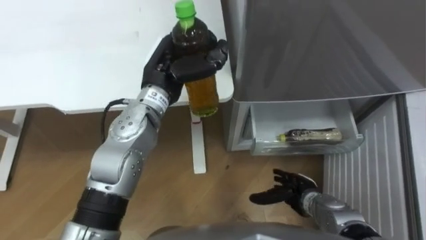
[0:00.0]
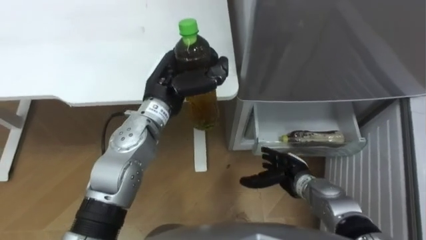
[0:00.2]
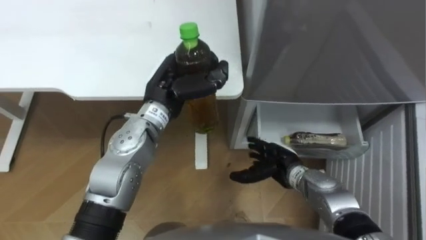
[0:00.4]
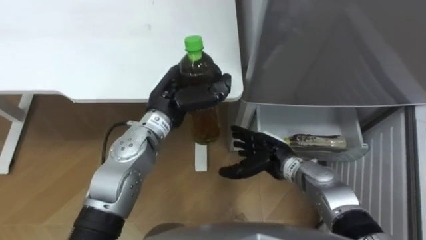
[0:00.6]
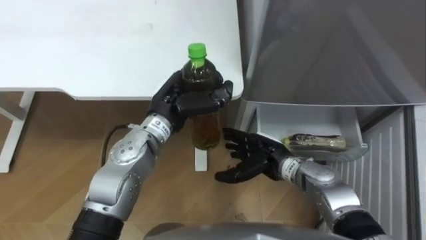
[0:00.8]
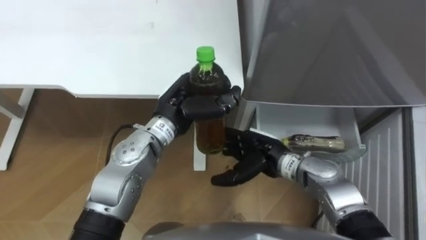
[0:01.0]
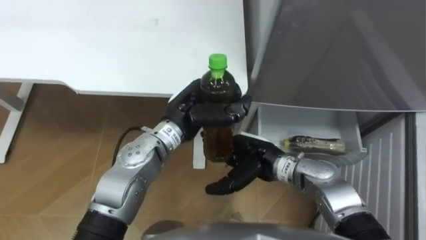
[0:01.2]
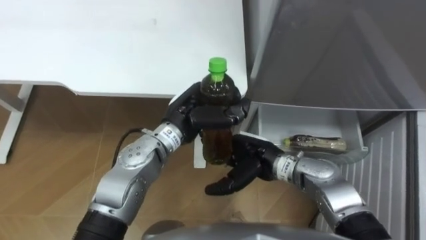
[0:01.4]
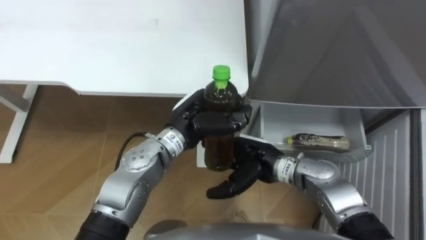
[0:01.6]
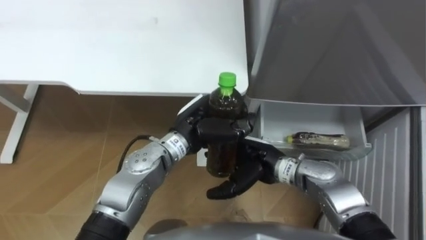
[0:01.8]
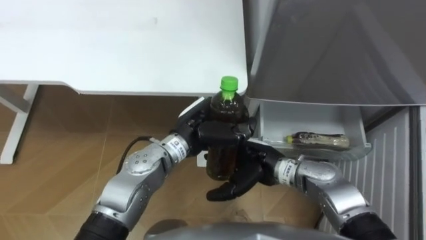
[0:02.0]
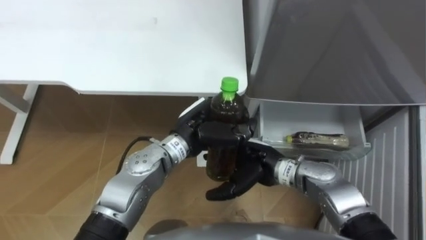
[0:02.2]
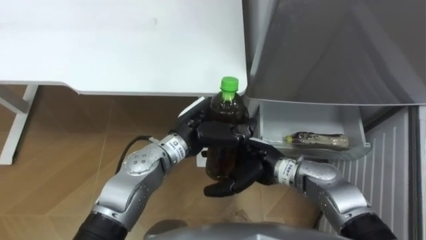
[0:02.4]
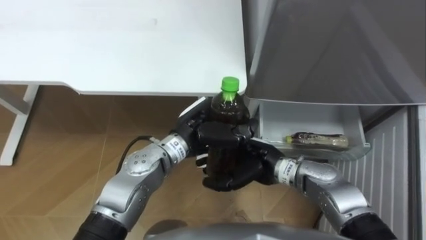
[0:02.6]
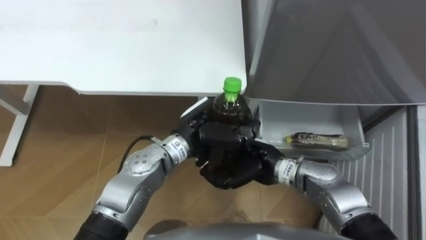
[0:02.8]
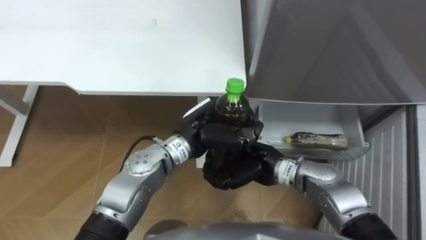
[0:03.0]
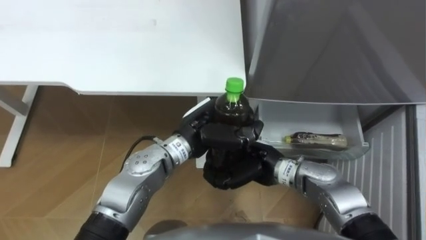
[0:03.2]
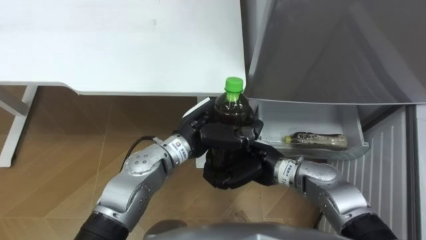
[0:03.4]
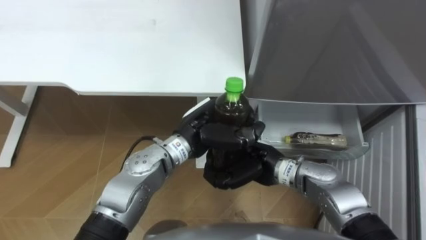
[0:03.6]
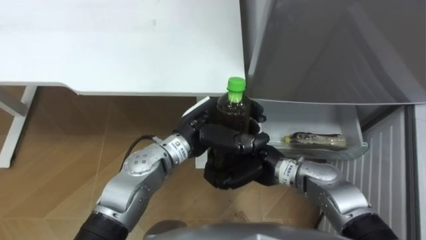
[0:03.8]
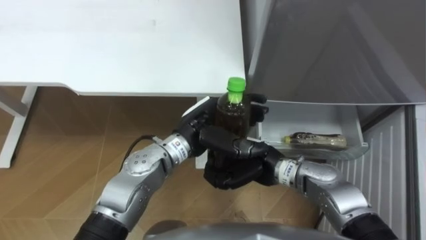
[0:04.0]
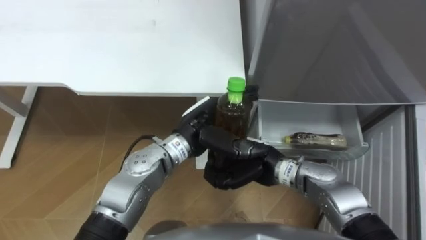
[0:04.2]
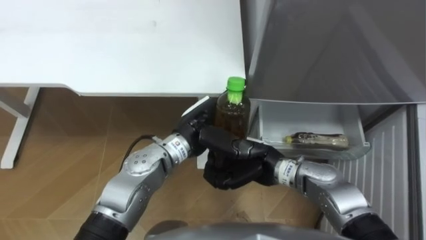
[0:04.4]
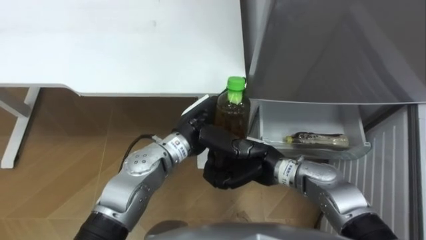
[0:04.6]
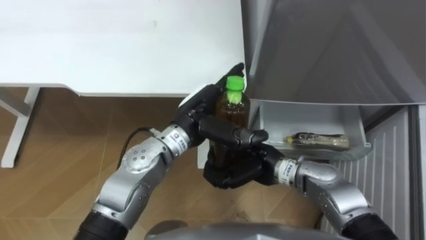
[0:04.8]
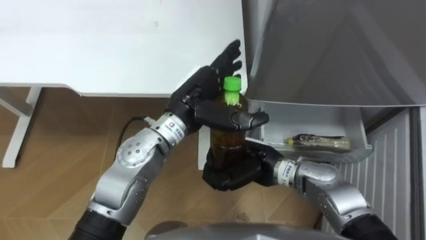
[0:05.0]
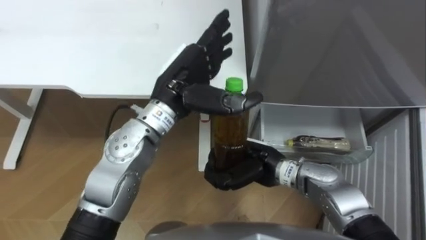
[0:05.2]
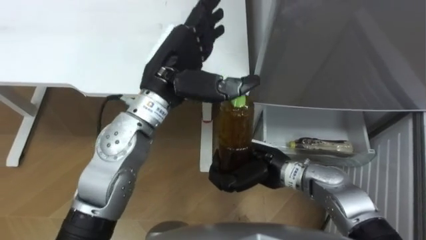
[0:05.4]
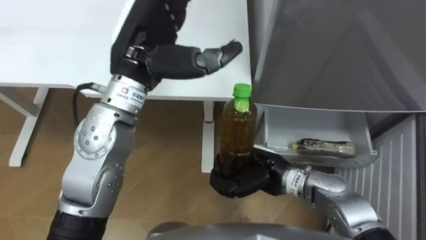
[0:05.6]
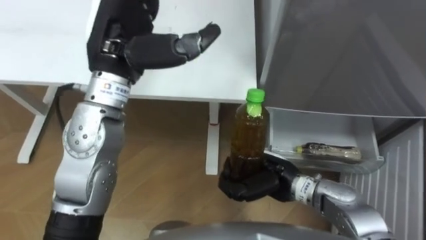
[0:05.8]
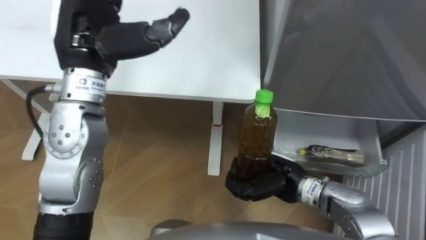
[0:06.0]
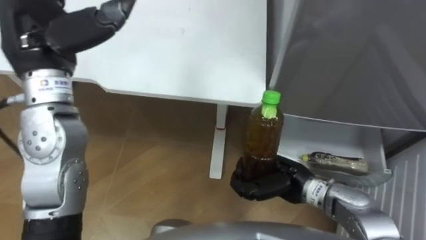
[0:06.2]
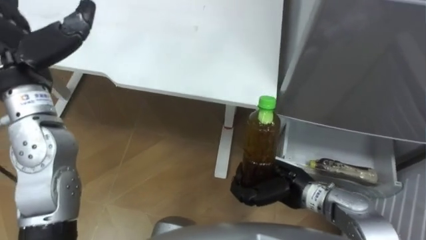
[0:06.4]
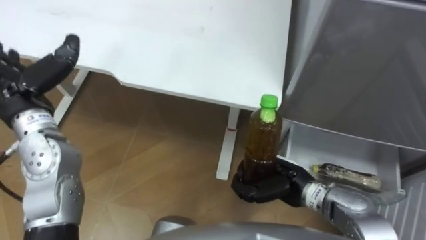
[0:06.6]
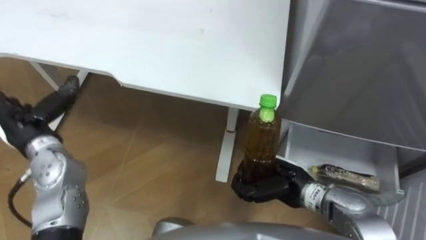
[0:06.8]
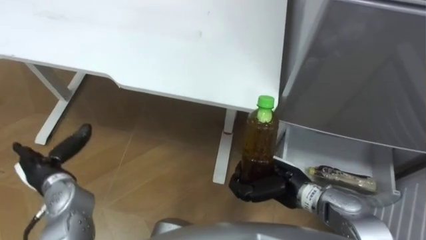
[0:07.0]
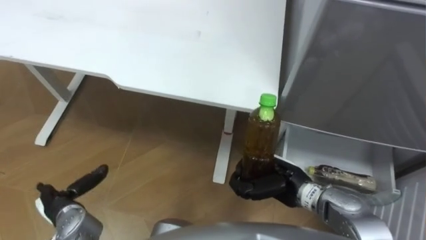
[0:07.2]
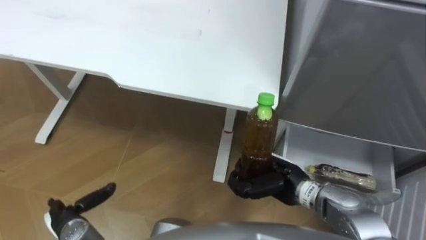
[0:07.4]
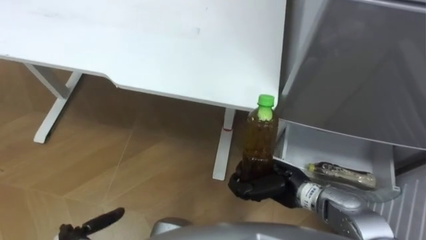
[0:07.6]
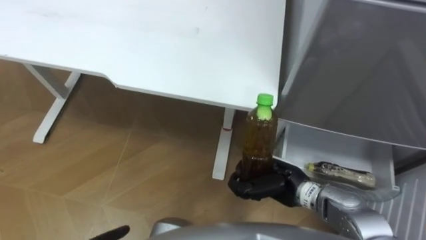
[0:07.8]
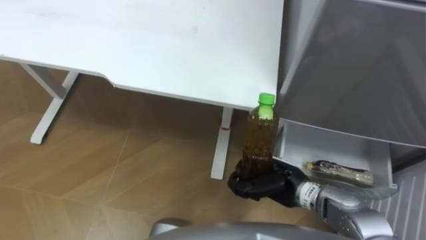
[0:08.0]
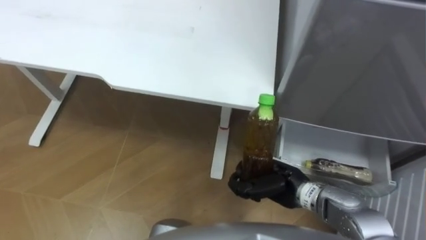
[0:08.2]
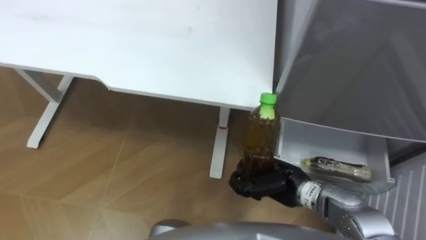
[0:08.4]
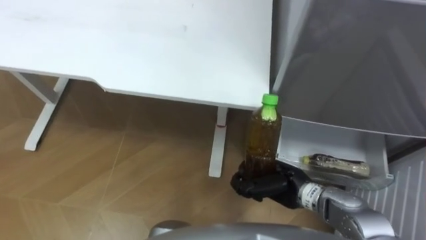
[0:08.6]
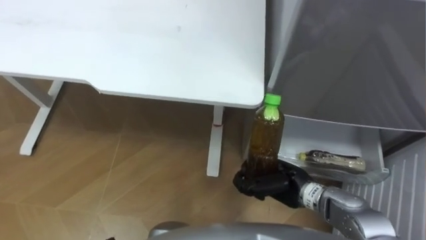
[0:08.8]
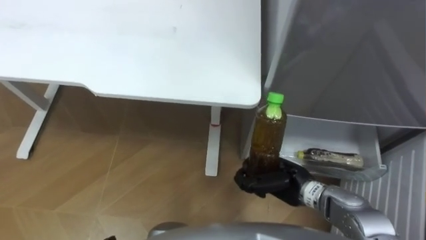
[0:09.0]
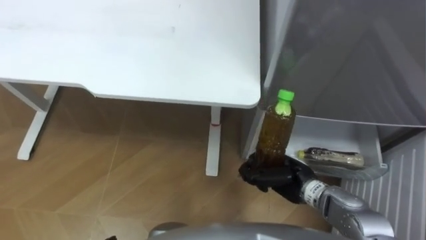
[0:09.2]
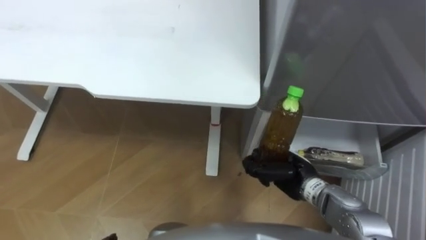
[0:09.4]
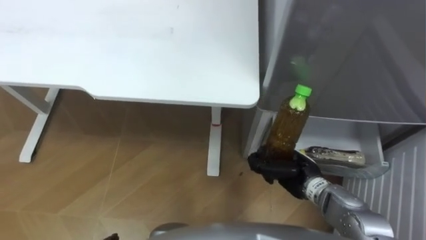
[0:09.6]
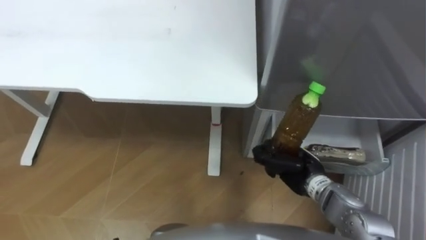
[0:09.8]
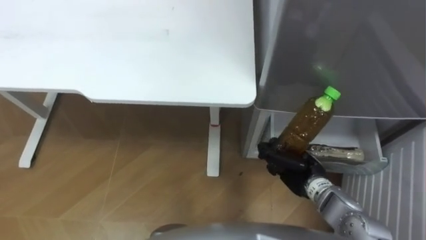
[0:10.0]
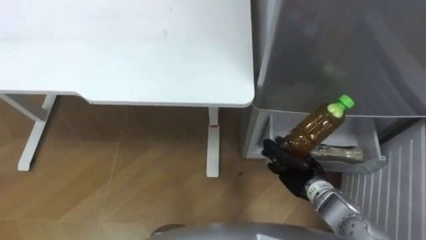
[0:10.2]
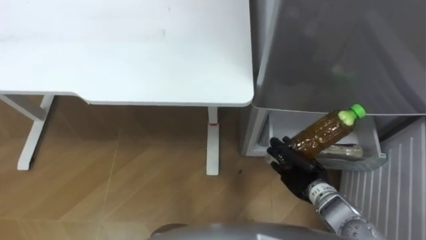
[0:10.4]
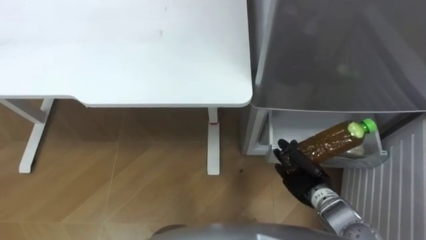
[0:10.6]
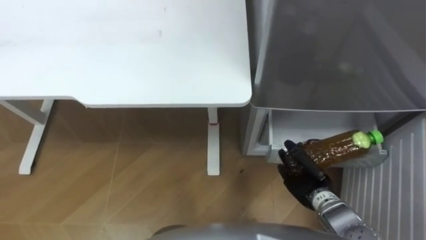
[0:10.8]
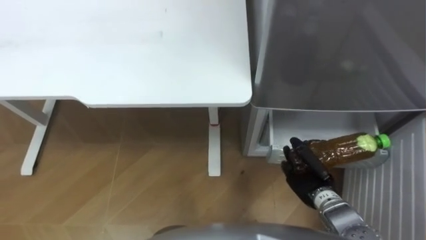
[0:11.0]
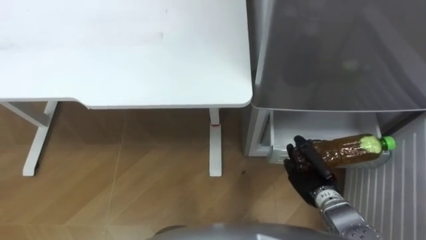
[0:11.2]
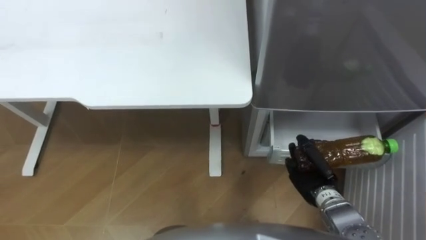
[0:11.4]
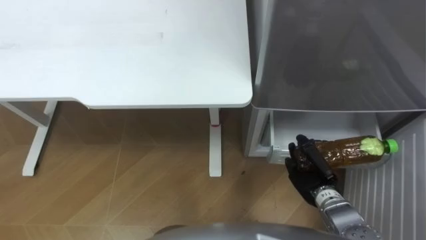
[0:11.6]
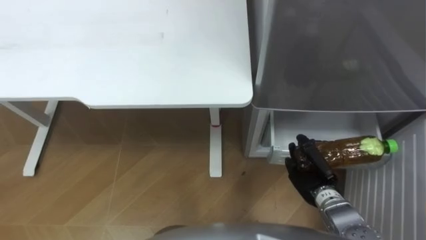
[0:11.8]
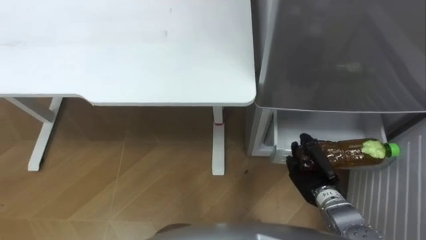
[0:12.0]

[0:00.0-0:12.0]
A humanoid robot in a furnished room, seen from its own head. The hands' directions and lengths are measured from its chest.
Task of the whole recording: Place the drink on the table on the bottom shelf of the refrigerator, then close the drawer and the refrigerator door.
0:00.0 to 0:01.6: The left hand heads downward and backward, covering approximately 10 cm. Meanwhile the right hand is displaced upward, to the left and forward by some 20 cm.
0:01.6 to 0:03.0: The right hand closes.
0:03.0 to 0:04.4: The left hand opens.
0:04.4 to 0:06.0: The right hand moves some 5 cm. The left hand heads upward and to the left, covering about 25 cm.
0:09.0 to 0:10.4: The right hand moves roughly 5 cm.

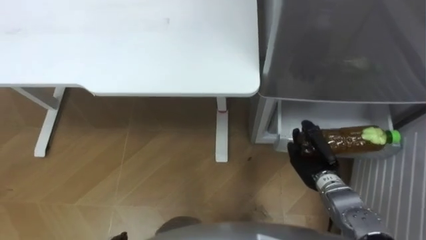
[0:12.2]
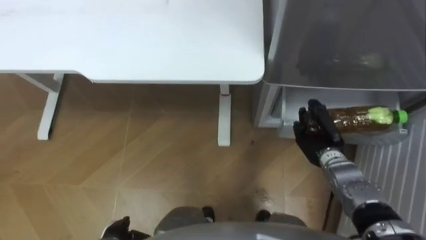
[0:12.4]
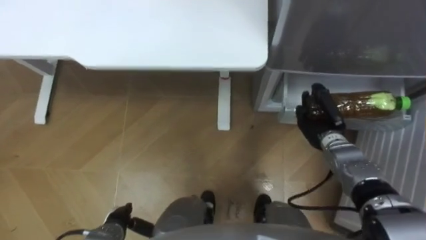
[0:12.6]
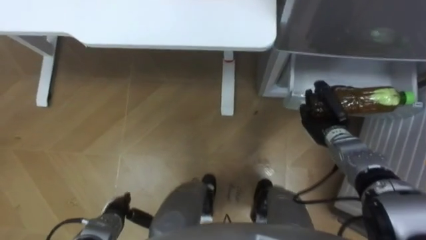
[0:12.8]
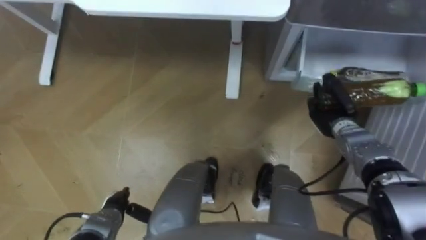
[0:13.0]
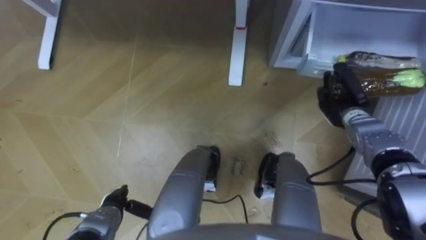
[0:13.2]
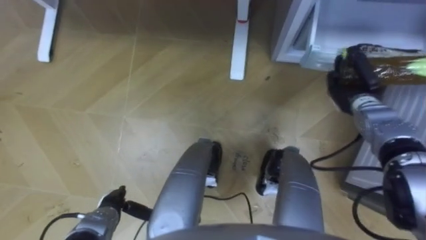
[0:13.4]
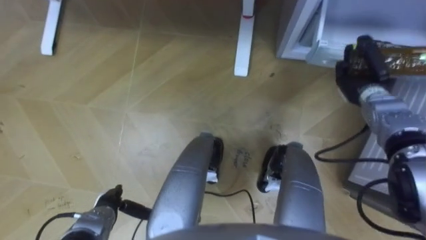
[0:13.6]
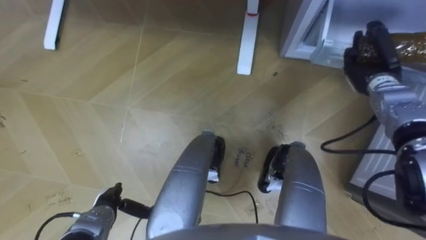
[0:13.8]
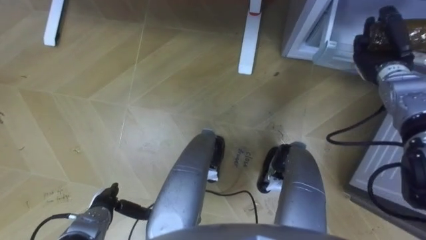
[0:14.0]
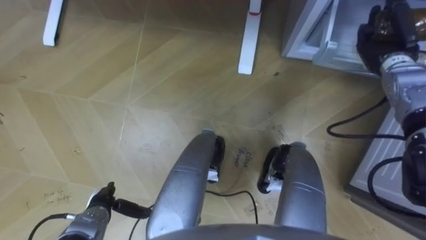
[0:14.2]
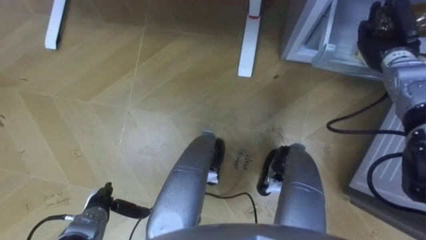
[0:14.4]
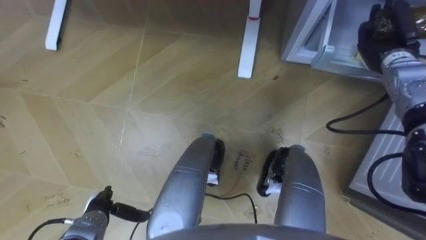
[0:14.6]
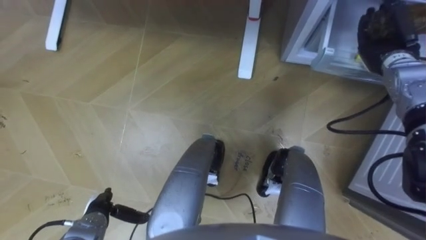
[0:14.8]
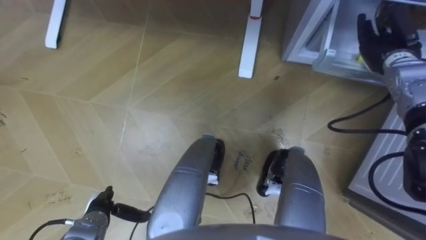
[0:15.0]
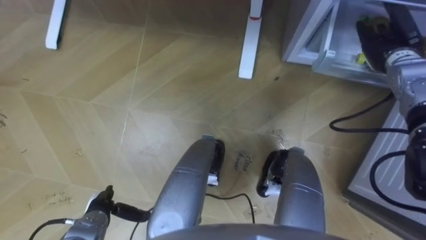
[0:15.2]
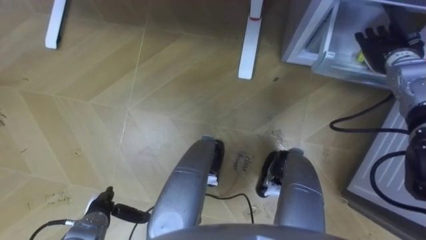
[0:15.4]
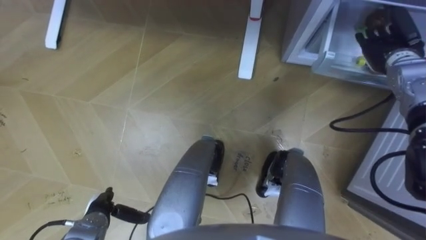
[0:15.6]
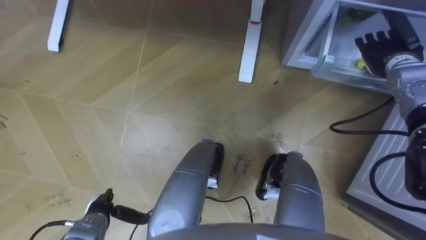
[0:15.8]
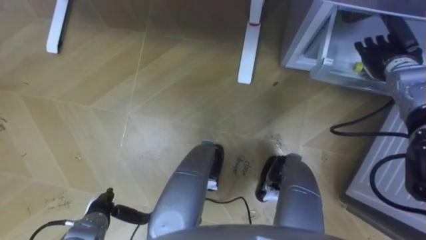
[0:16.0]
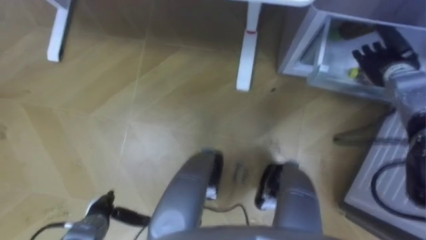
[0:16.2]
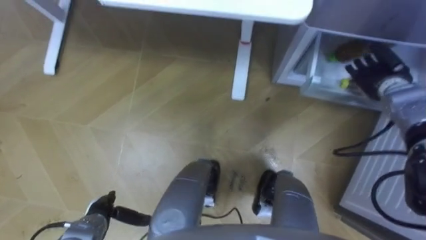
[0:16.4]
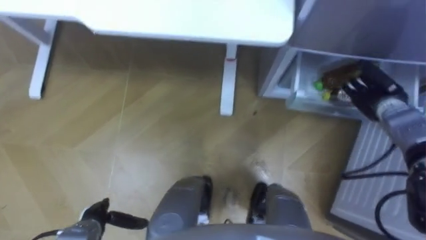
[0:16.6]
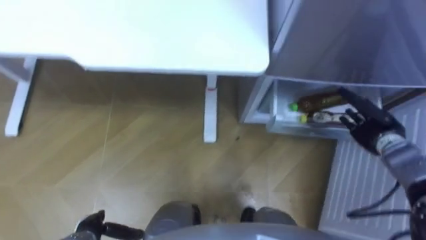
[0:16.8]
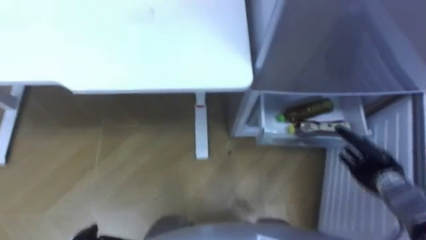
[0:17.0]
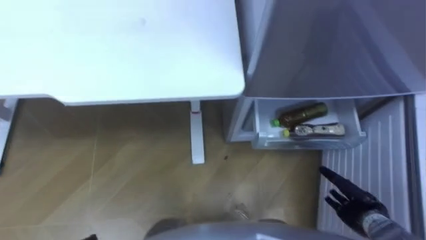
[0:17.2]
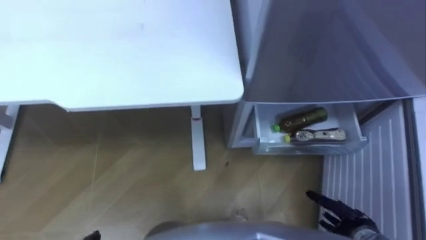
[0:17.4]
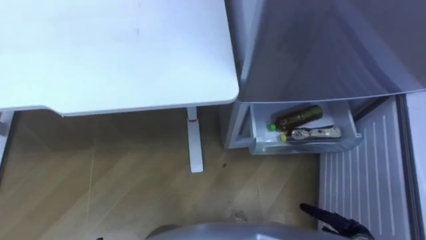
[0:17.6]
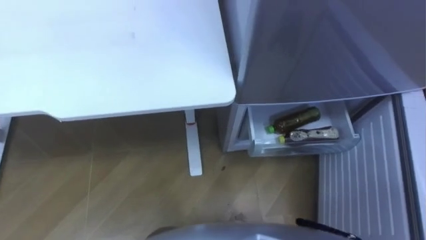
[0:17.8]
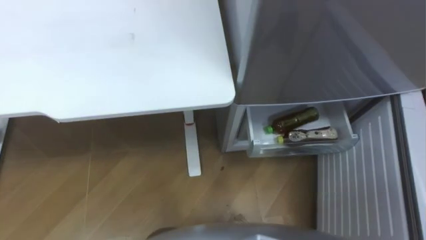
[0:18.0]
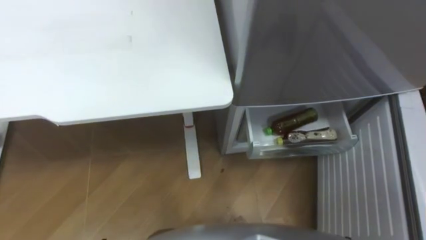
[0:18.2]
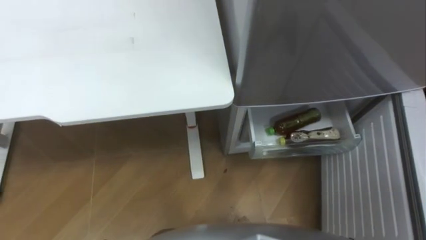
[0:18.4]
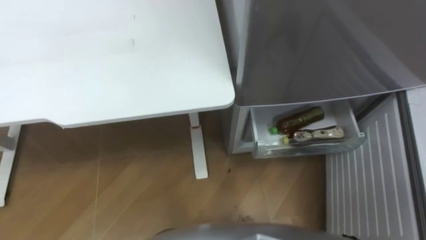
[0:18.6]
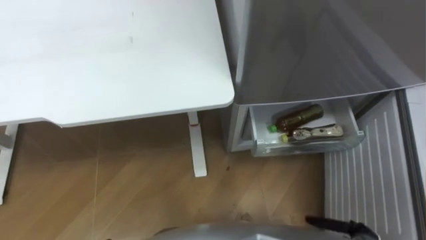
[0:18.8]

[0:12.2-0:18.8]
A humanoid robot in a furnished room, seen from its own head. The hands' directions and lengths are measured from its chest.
Task of the whole recording: Place the drink on the table on the bottom shelf of the refrigerator, then close the drawer and the refrigerator door.
0:12.2 to 0:13.8: The right hand travels forward, upward and to the right by about 25 cm.
0:13.8 to 0:15.4: The right hand changes place by about 5 cm, and opens up.
0:15.4 to 0:17.2: The right hand goes about 35 cm backward and downward.
